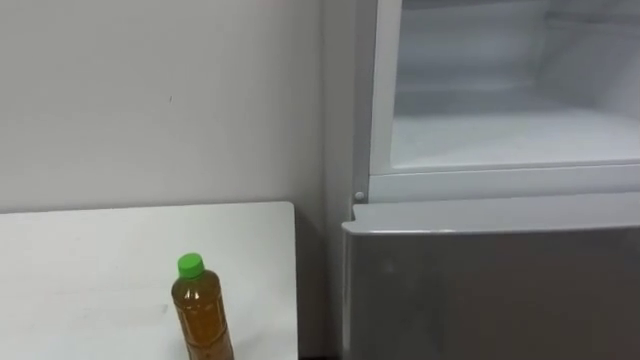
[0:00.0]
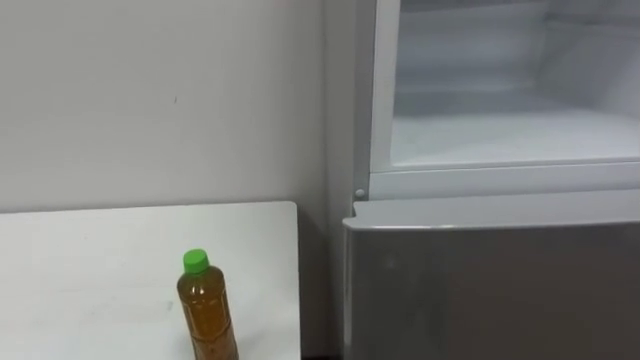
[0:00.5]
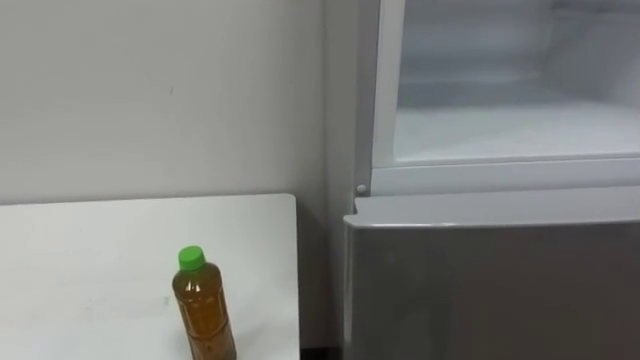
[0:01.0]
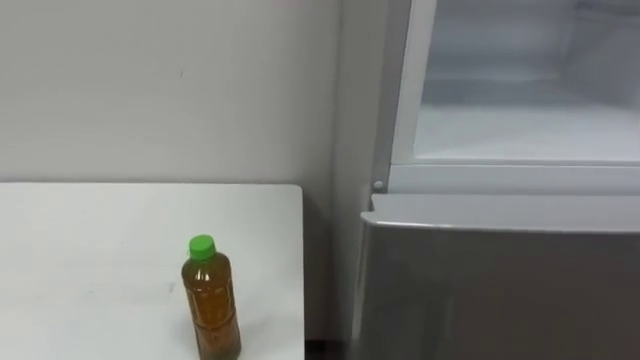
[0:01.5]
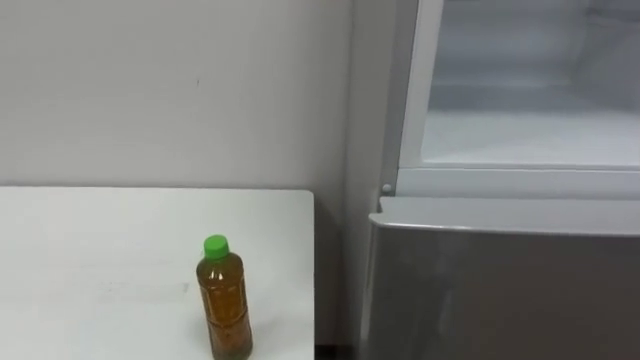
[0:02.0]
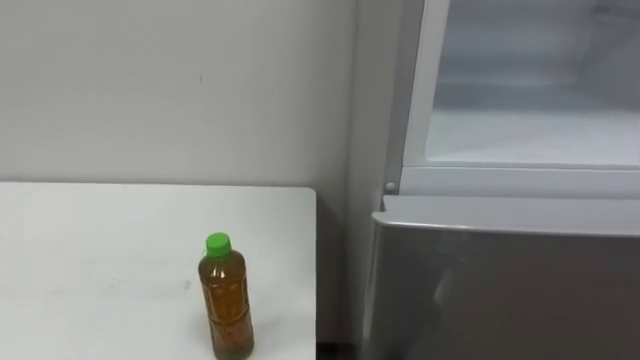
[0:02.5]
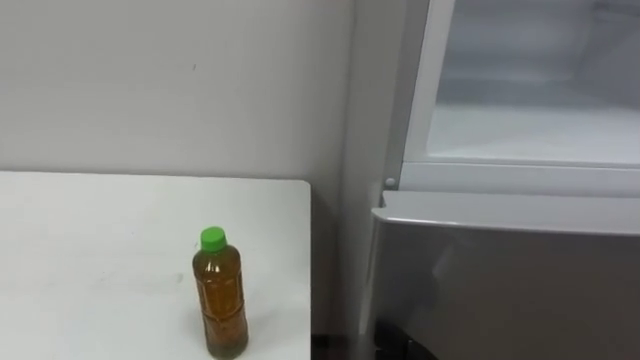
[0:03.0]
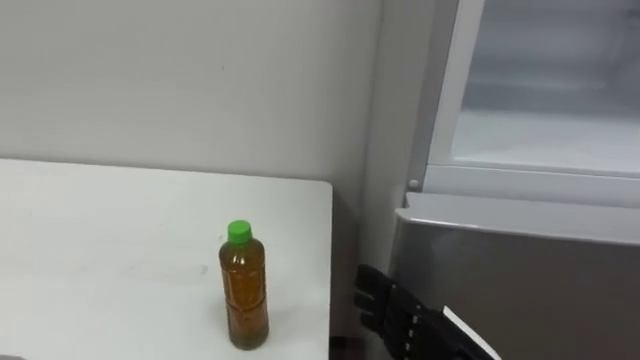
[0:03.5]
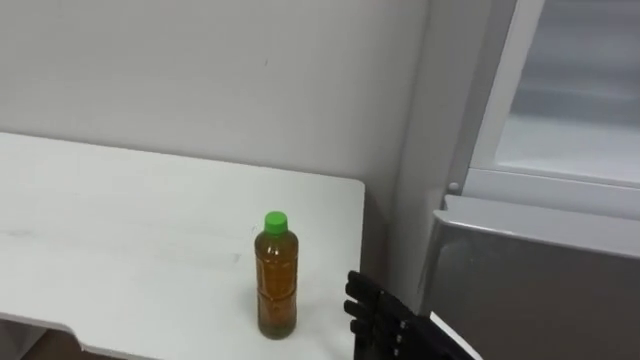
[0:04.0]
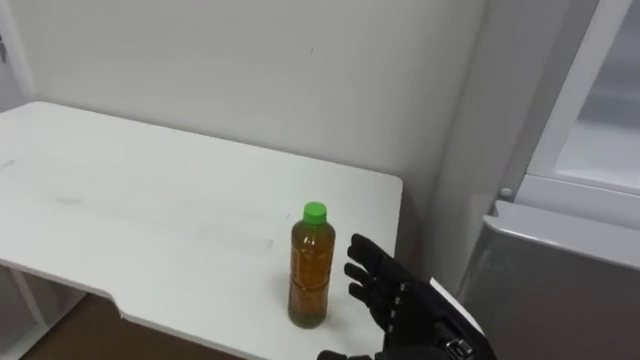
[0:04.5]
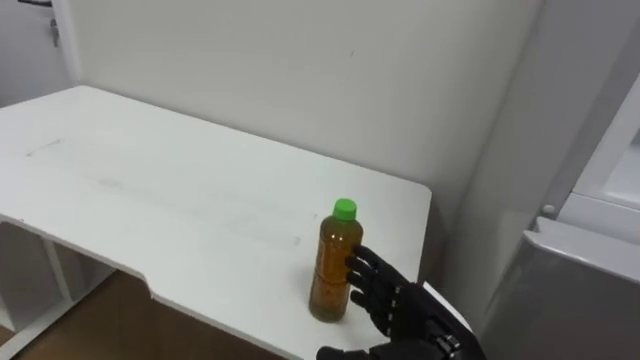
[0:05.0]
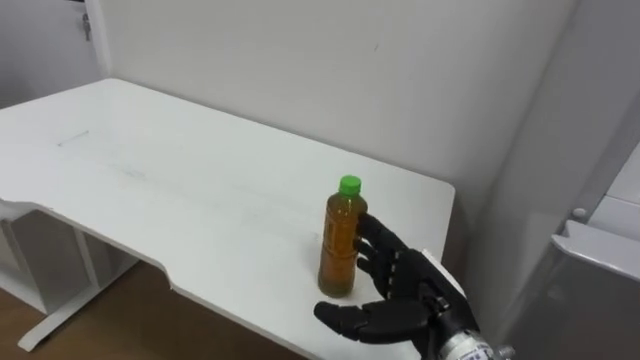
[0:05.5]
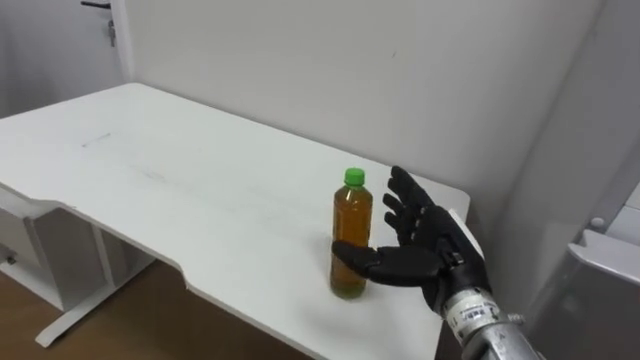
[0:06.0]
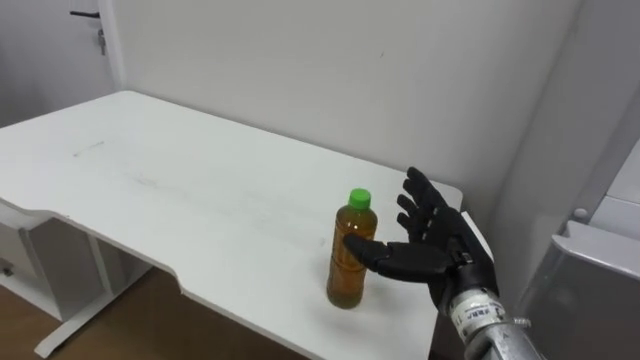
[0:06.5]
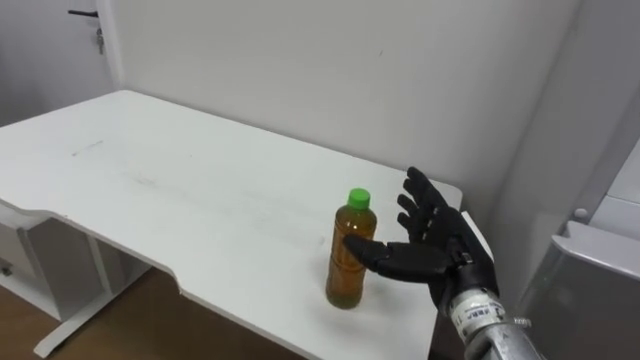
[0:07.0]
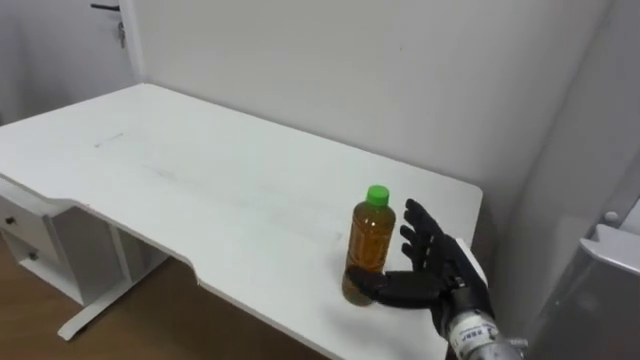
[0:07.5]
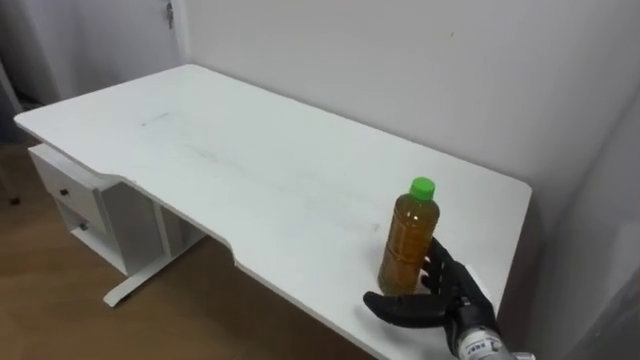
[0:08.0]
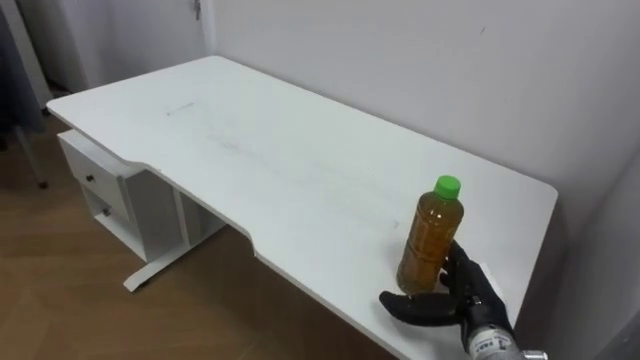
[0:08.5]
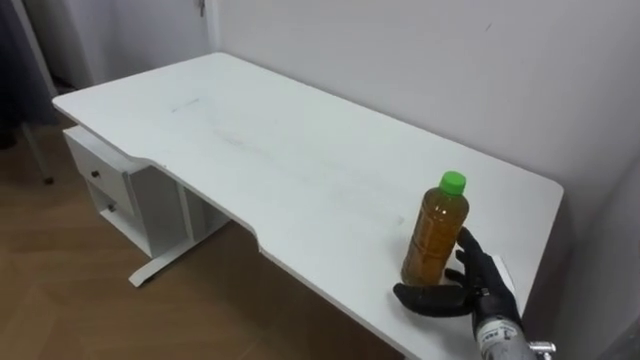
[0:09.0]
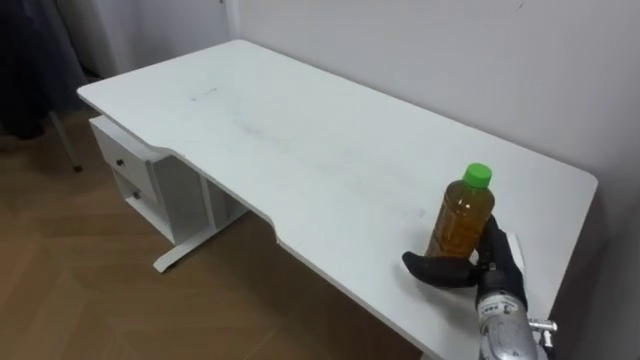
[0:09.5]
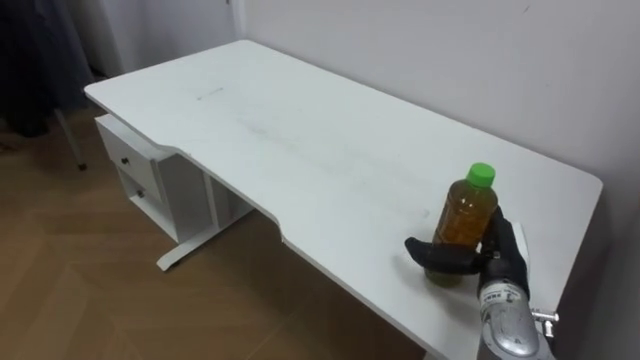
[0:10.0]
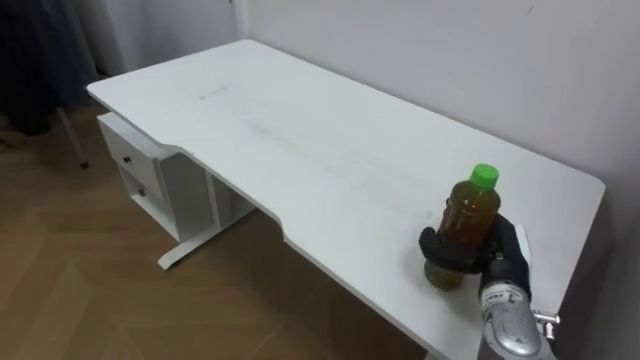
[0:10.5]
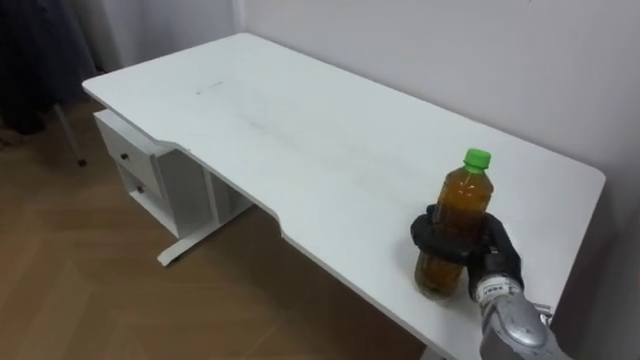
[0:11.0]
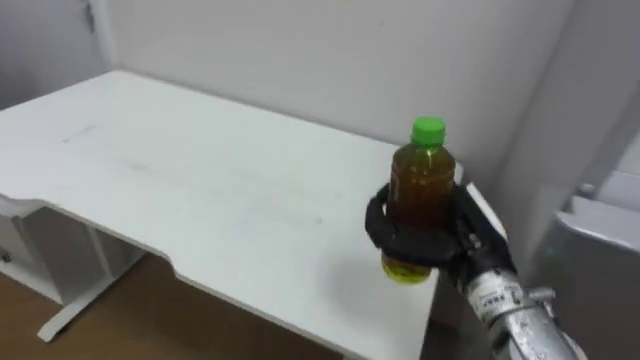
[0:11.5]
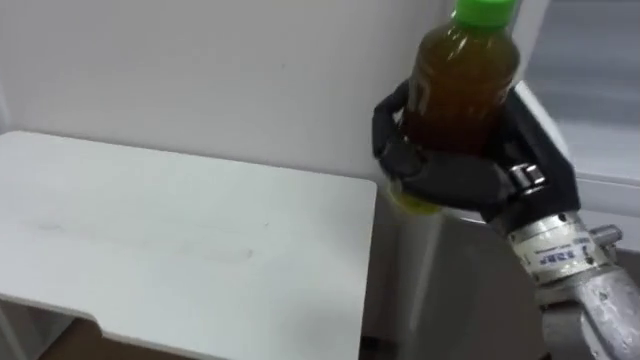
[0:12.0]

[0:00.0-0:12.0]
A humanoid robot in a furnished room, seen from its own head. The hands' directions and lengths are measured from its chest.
Task of the whole recording: Open the upper refrigerator door, put the drink from the table into the refrigerator, and then close the refrigerator door.
0:04.0 to 0:06.0: The right hand shifts some 10 cm forward and upward.
0:06.0 to 0:08.0: The right hand heads downward, covering about 10 cm.
0:08.0 to 0:10.0: The right hand ends up approximately 5 cm from where it was.
0:10.0 to 0:12.0: The right hand shifts approximately 20 cm upward and backward, and closes.

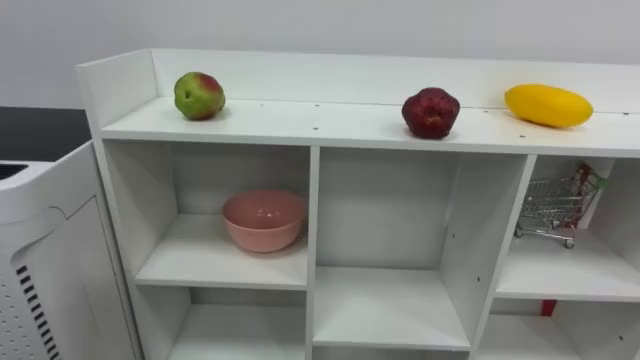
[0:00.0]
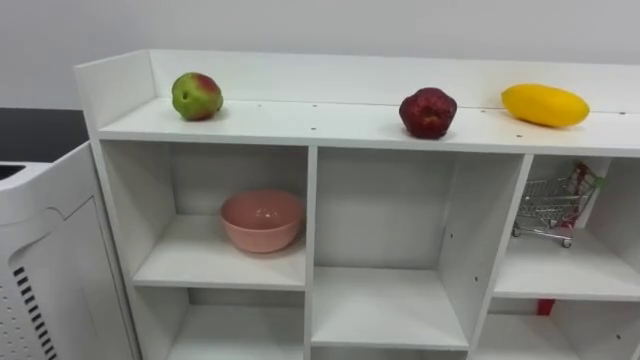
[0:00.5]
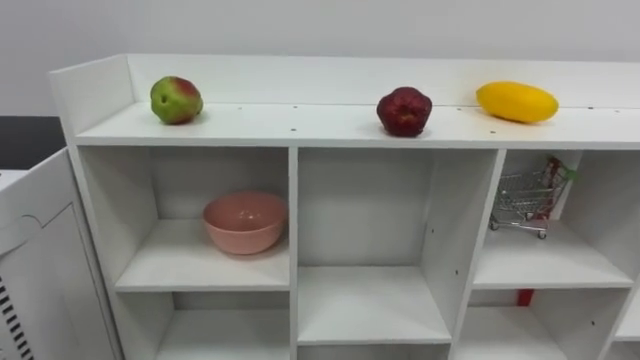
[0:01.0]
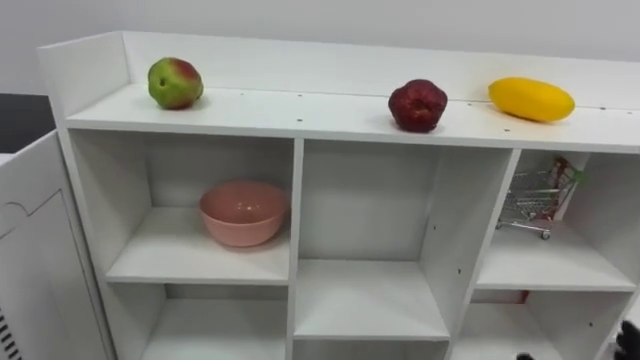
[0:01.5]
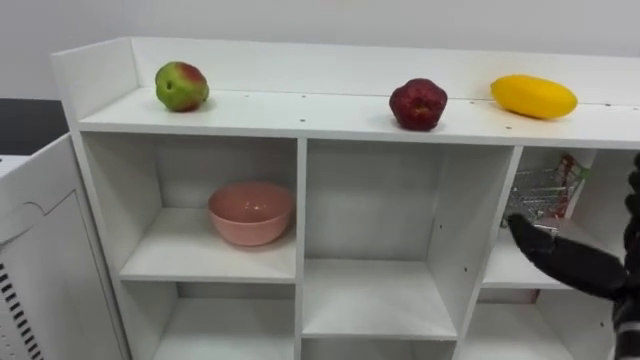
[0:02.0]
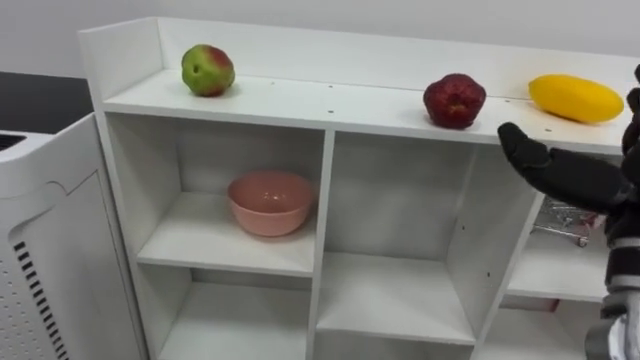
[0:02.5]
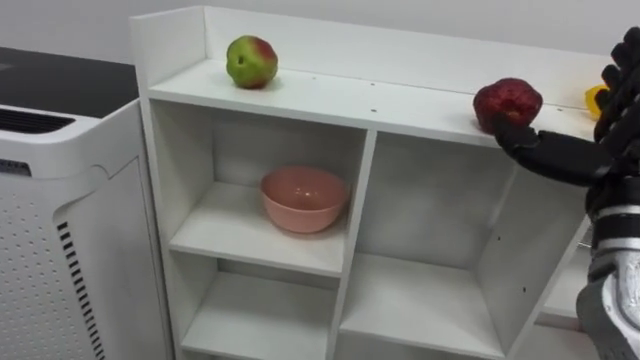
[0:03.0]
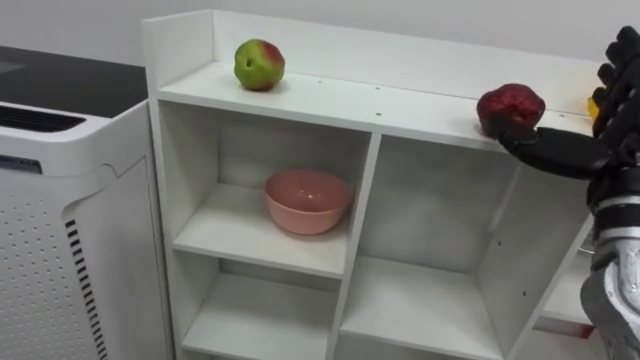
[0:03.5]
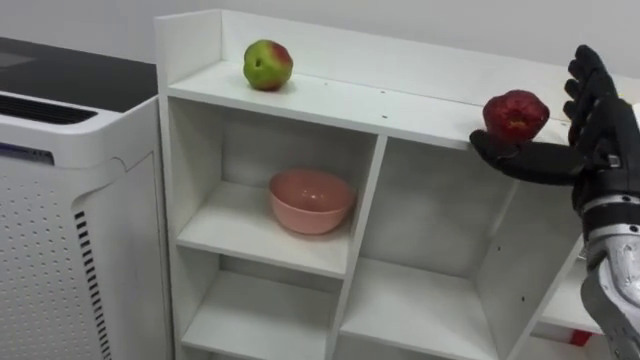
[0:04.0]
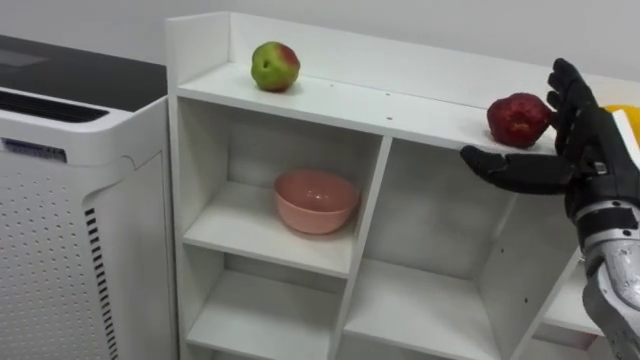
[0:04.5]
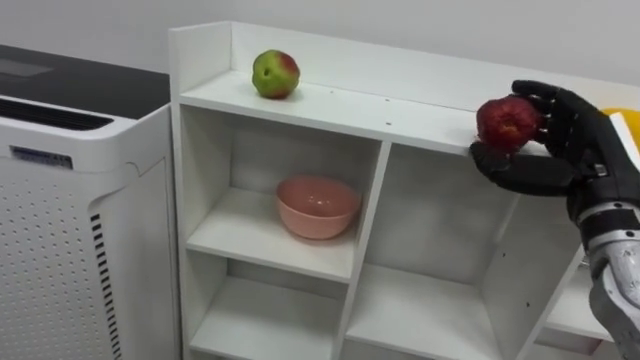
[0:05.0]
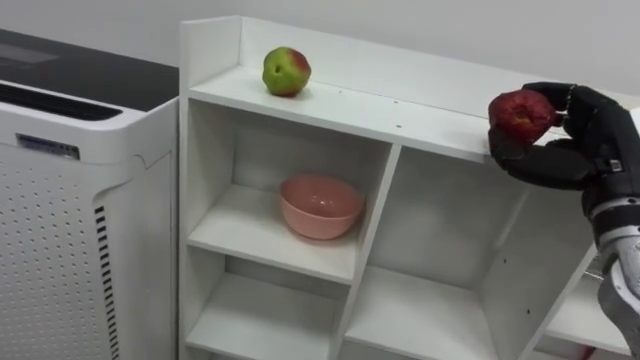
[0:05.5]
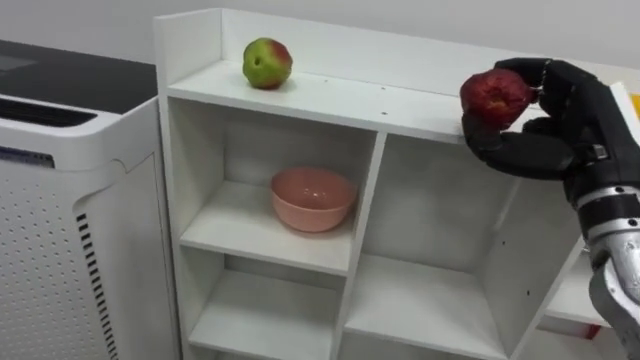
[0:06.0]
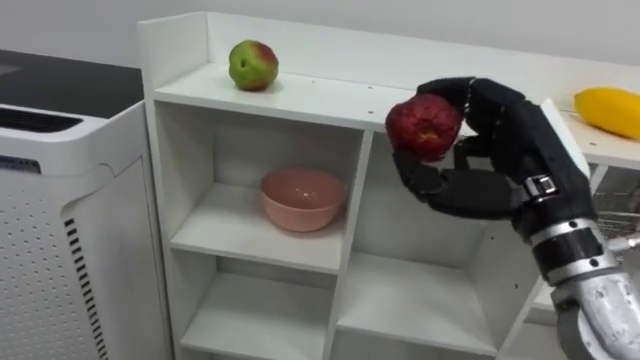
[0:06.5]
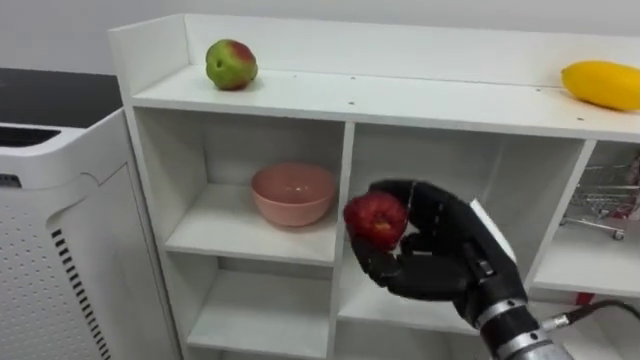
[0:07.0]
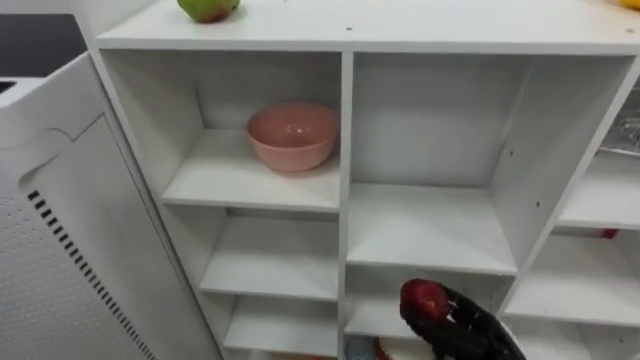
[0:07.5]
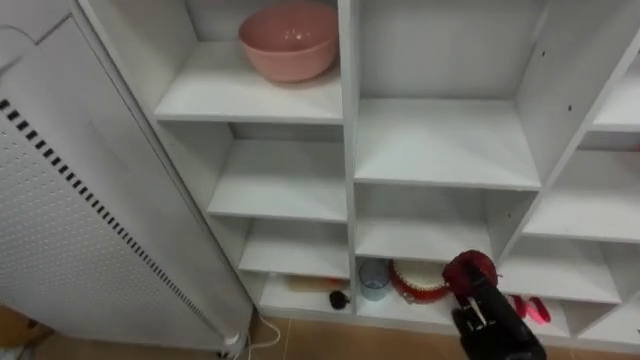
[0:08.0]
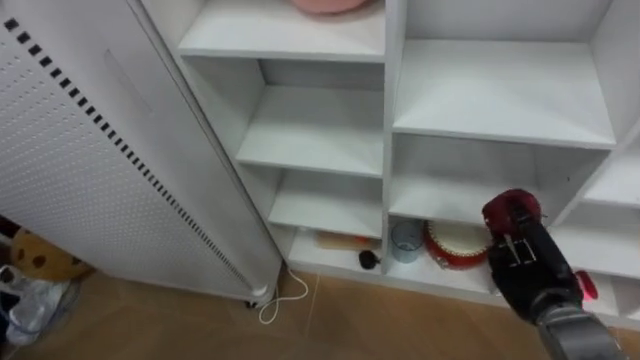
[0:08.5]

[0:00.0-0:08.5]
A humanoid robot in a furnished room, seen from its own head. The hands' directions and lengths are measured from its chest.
Task of the whole recording: Put the apple in the cell in the second column from the left and the second row from the top.
0:04.0 to 0:06.5: The right hand moves to the left, about 10 cm, and closes its fingers.
